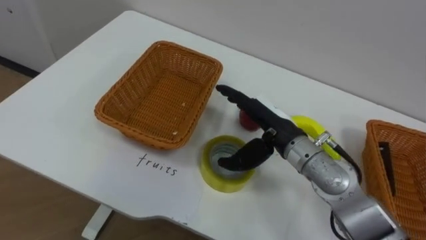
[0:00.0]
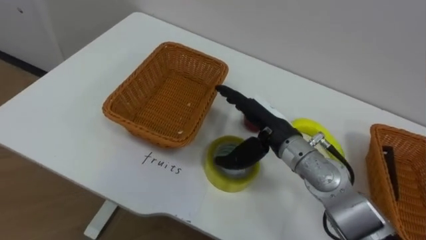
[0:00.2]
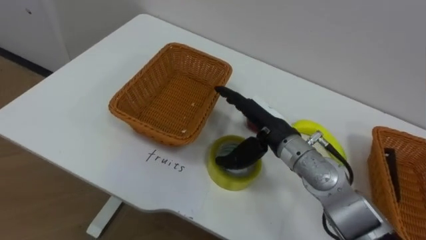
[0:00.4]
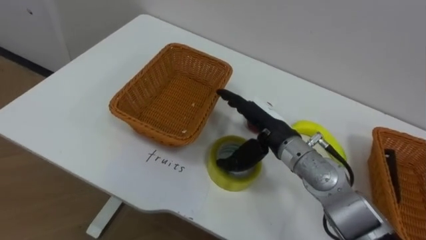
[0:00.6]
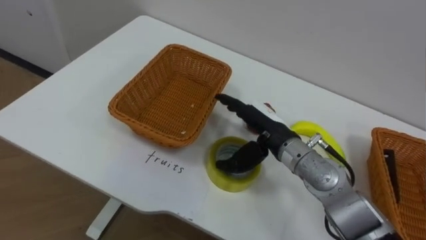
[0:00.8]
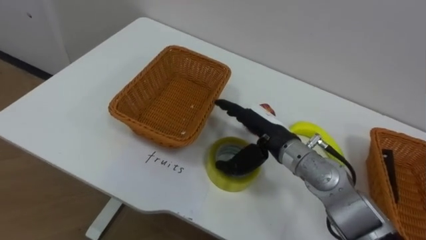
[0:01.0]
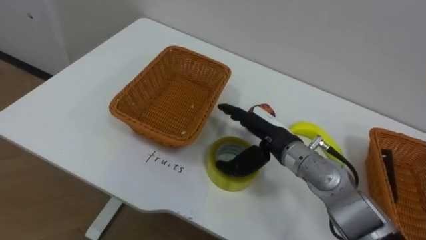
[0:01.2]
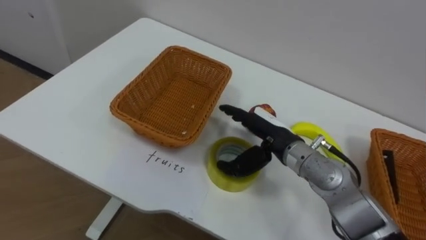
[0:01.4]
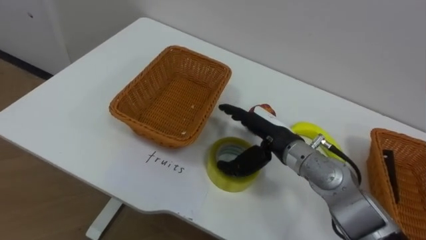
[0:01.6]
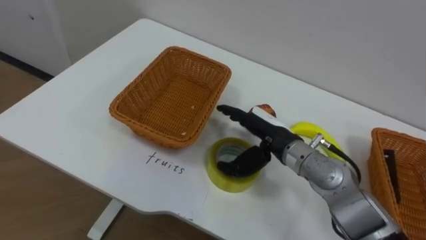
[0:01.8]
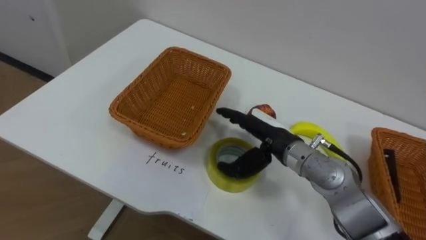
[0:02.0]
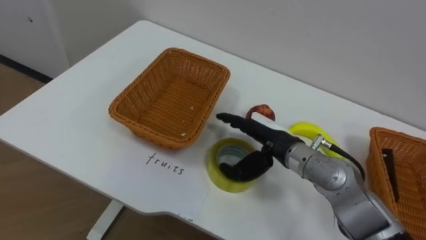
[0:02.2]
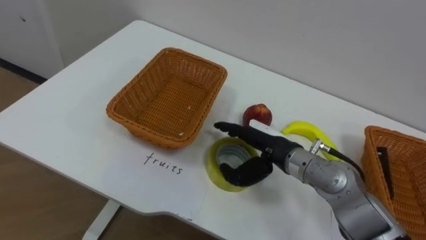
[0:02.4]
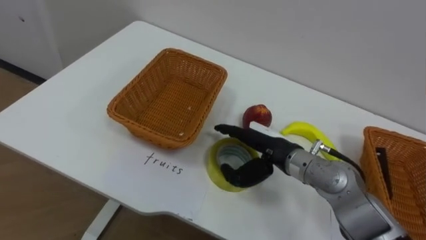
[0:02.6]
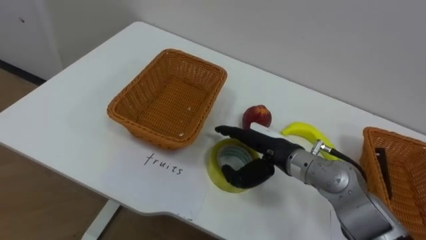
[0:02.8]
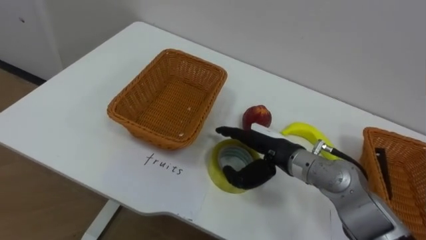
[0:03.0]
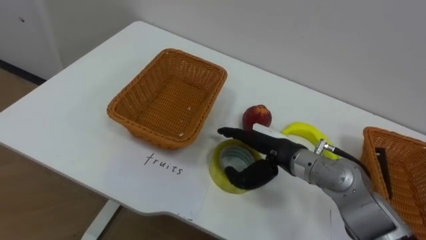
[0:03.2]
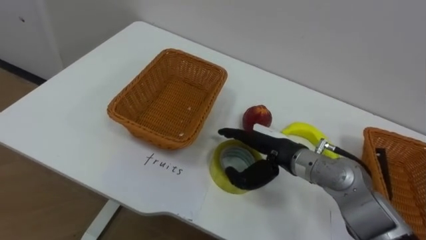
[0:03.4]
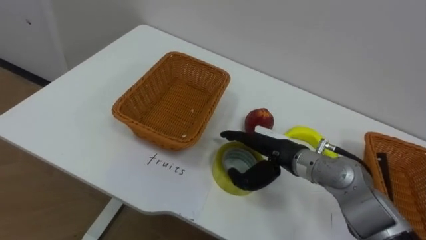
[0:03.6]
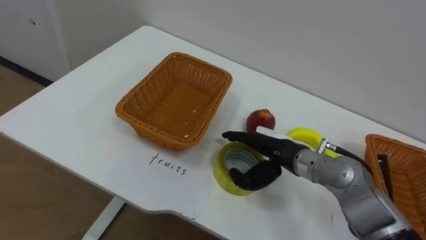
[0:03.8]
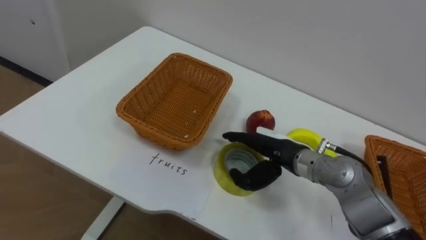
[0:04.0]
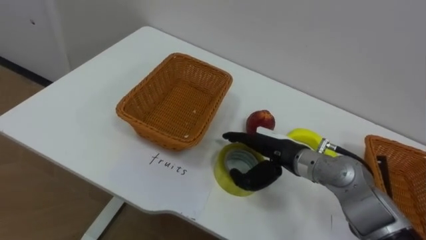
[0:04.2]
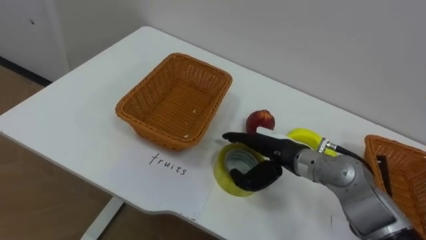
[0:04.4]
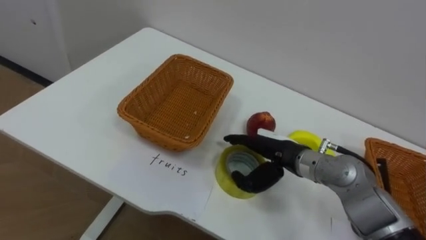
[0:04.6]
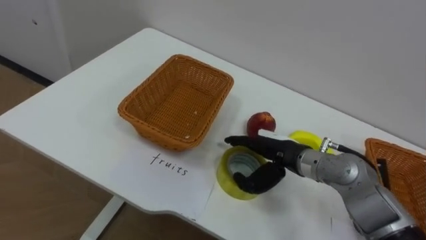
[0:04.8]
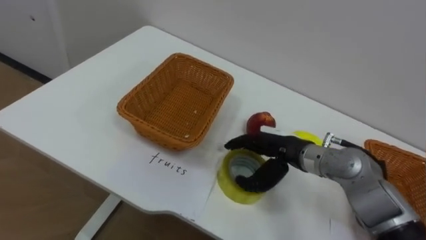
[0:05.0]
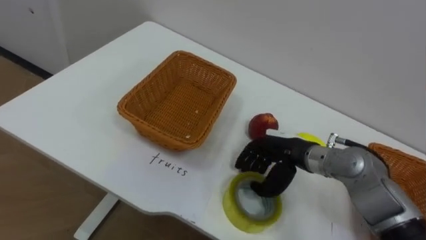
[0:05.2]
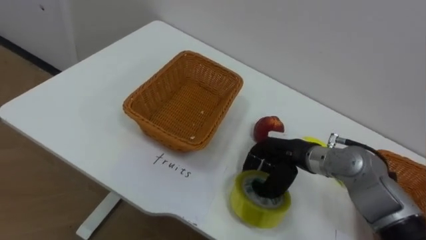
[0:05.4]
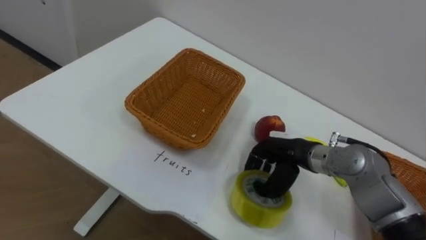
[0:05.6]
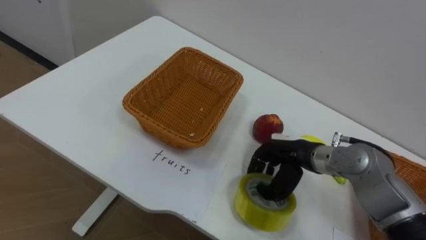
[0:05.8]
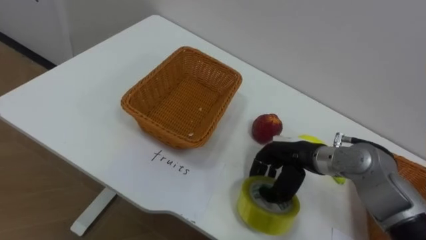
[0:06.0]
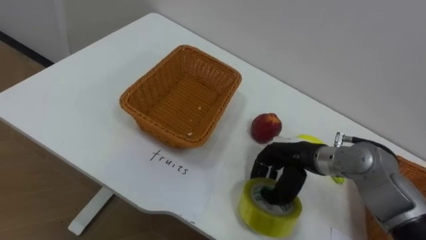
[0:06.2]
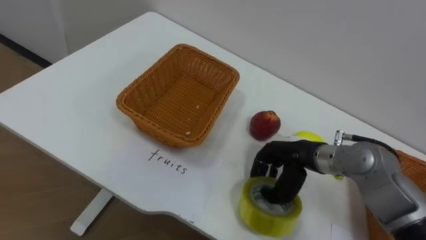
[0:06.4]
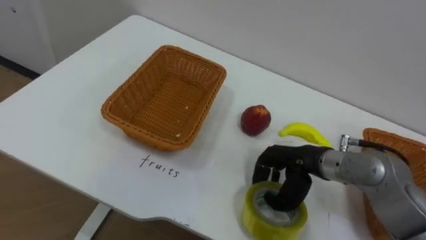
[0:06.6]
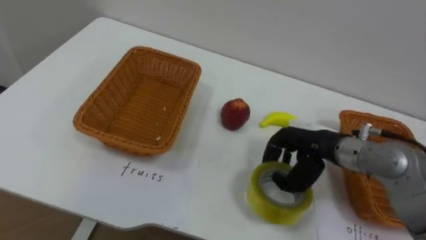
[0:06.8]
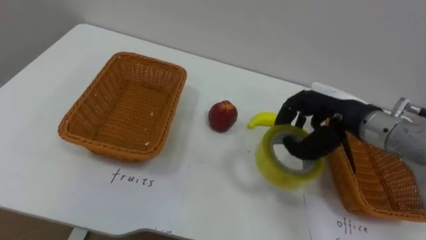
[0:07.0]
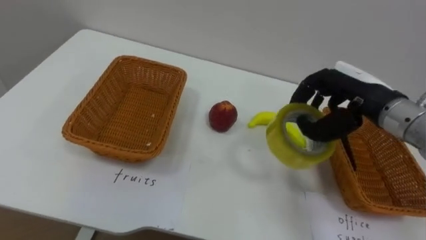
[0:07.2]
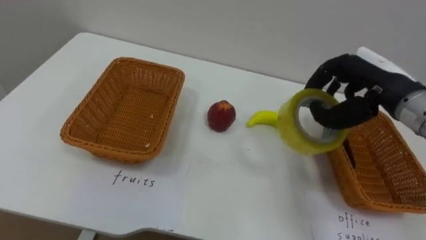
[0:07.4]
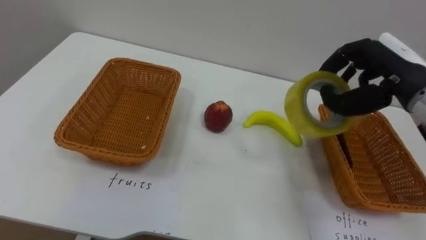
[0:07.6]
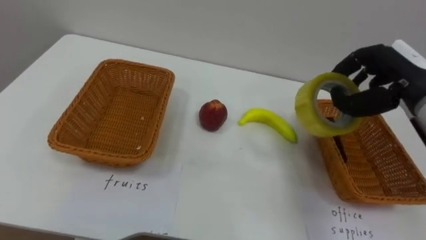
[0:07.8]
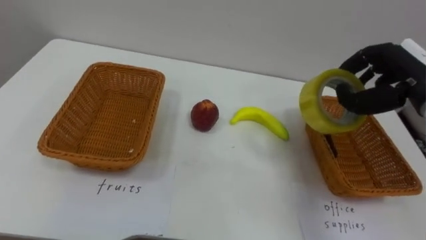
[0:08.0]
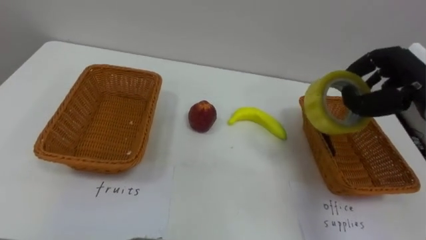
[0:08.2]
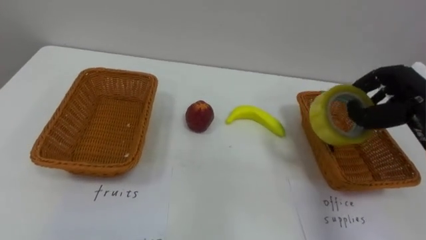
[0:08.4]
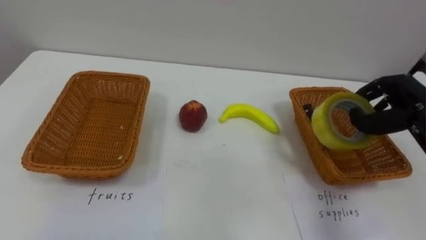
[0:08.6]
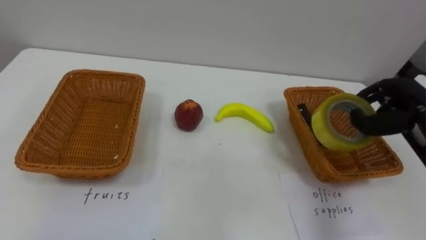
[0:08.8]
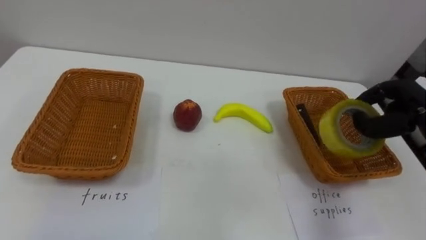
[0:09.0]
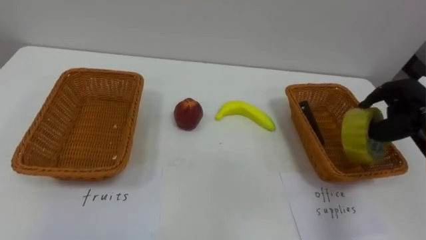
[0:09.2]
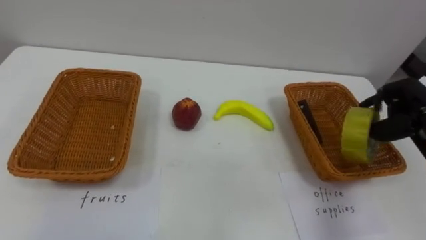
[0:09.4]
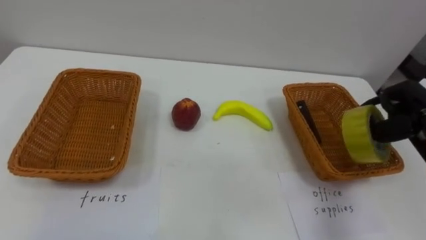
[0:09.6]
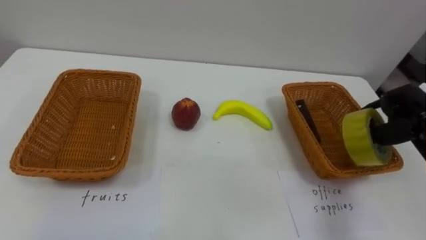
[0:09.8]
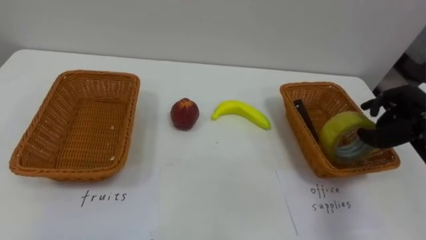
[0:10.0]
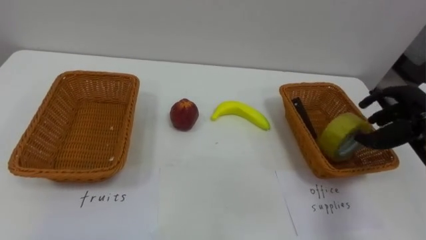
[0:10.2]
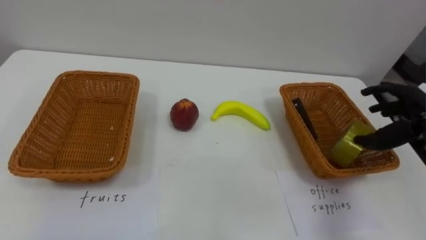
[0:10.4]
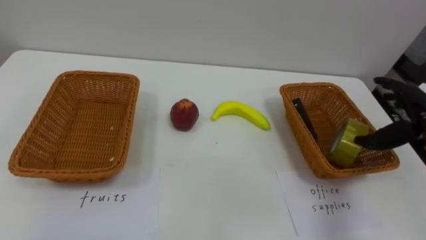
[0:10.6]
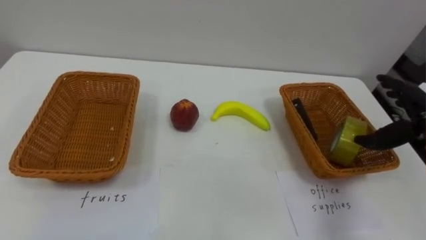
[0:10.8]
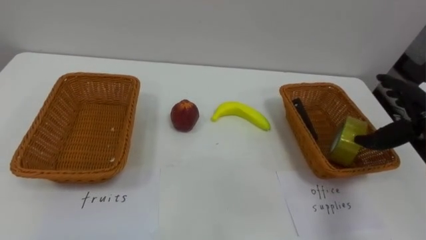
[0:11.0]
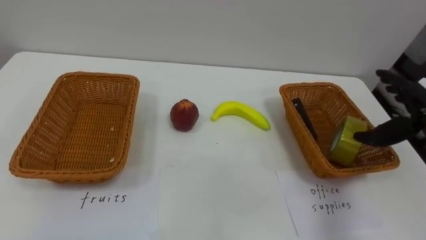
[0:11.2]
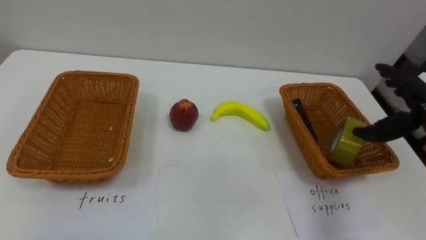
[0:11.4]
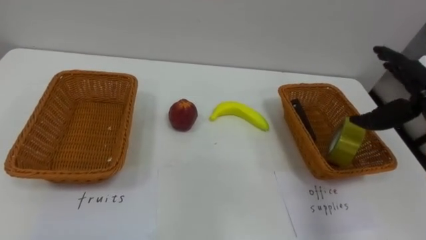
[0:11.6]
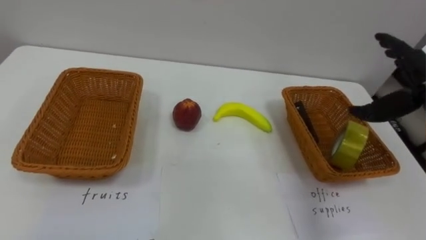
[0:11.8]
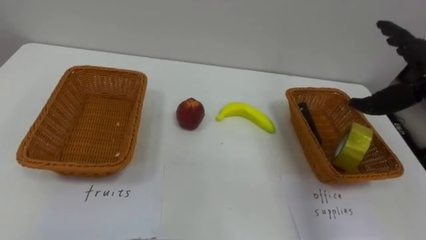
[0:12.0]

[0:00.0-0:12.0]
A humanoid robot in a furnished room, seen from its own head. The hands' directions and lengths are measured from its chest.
Task of the whole recording: Separate the items on the table and place them into the two baskets.
0:04.4 to 0:06.0: The right hand closes up.
0:06.0 to 0:07.6: The right hand heads upward and to the right, covering roughly 20 cm.
0:07.6 to 0:09.0: The right hand moves to the right and downward, some 10 cm.
0:09.0 to 0:10.4: The right hand opens its fingers.

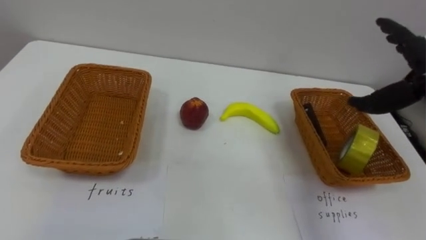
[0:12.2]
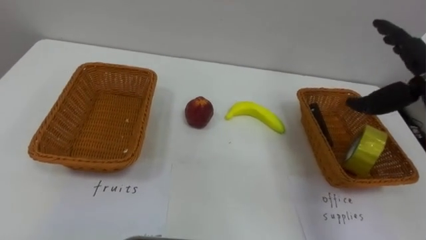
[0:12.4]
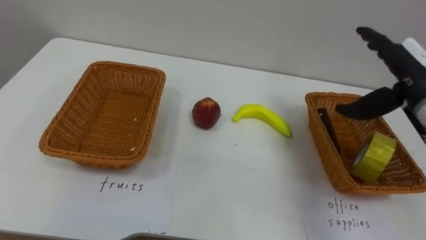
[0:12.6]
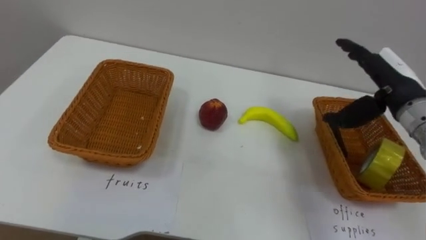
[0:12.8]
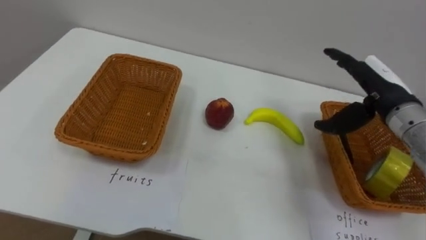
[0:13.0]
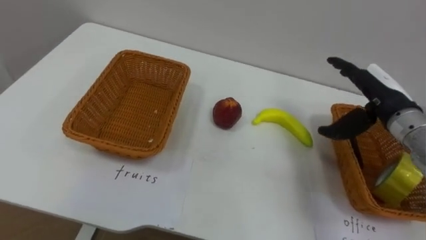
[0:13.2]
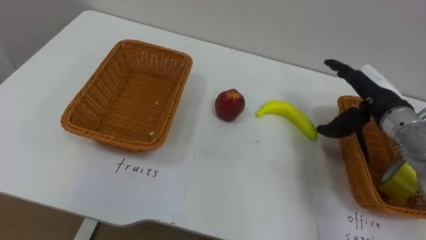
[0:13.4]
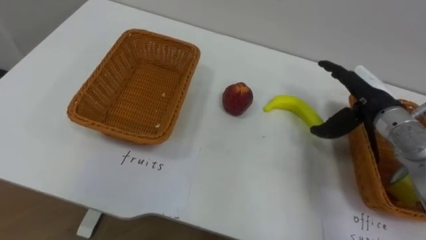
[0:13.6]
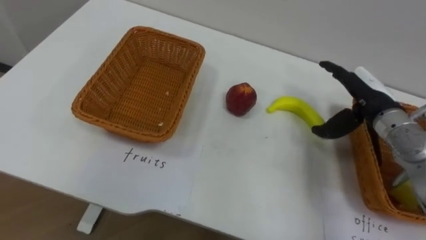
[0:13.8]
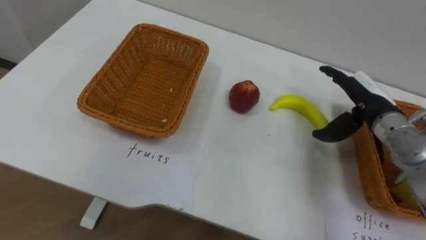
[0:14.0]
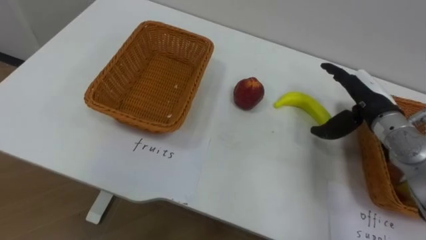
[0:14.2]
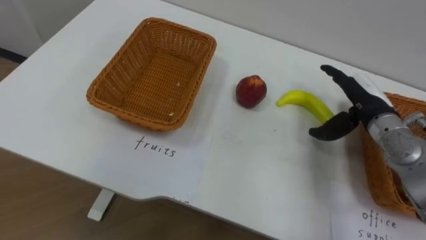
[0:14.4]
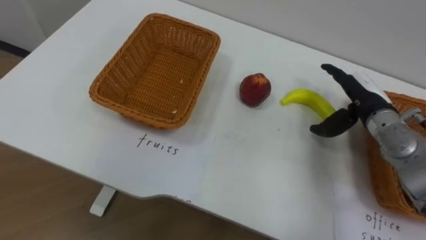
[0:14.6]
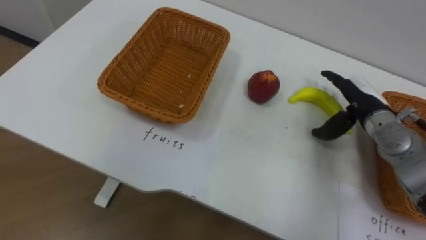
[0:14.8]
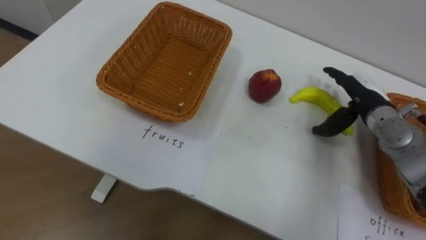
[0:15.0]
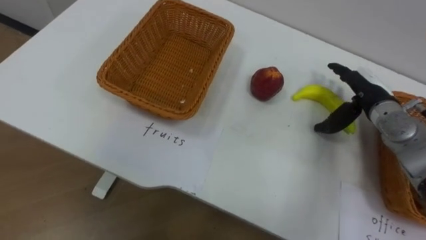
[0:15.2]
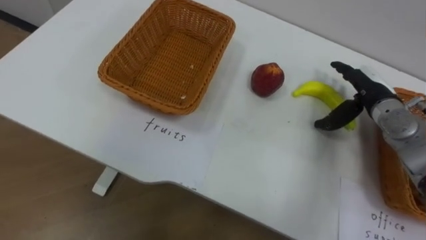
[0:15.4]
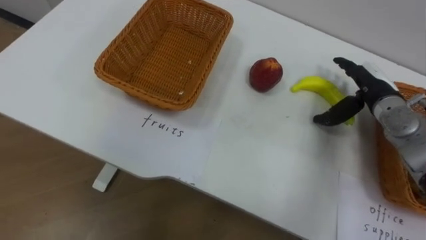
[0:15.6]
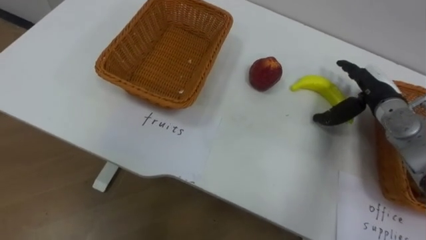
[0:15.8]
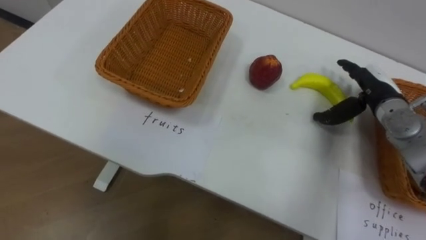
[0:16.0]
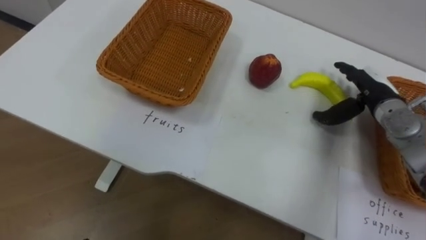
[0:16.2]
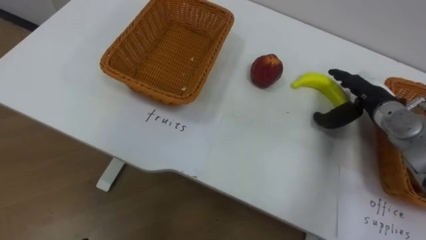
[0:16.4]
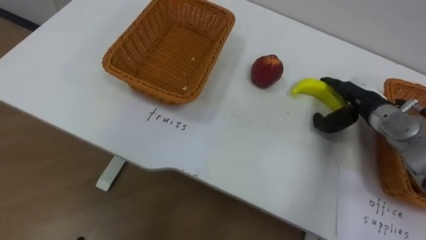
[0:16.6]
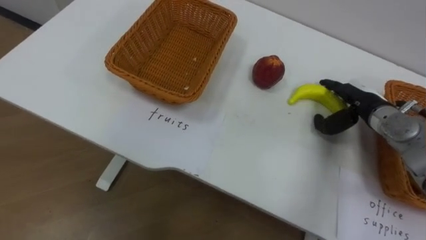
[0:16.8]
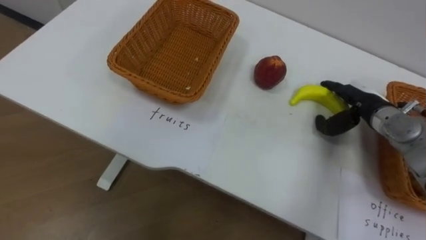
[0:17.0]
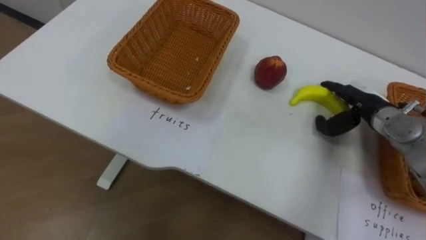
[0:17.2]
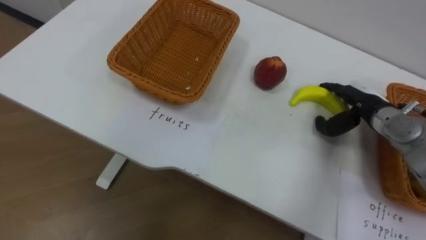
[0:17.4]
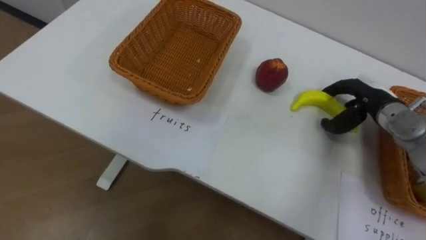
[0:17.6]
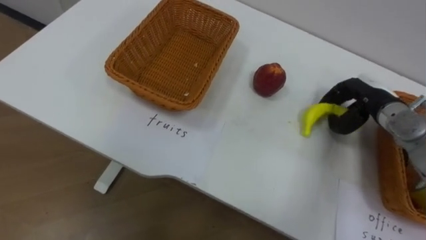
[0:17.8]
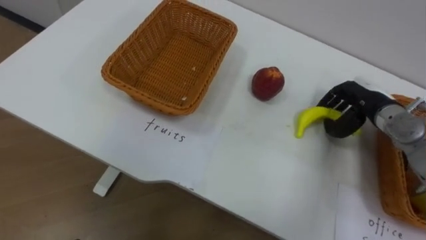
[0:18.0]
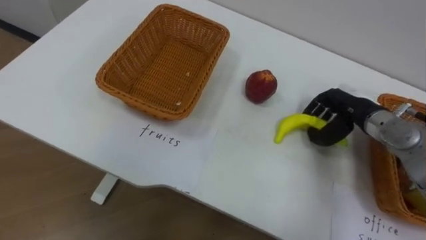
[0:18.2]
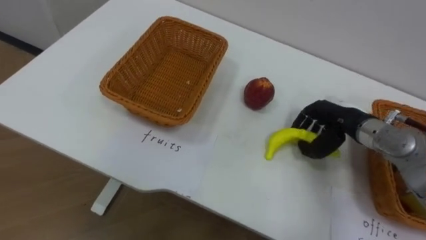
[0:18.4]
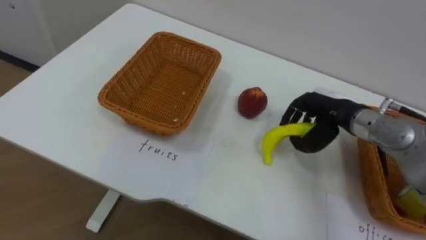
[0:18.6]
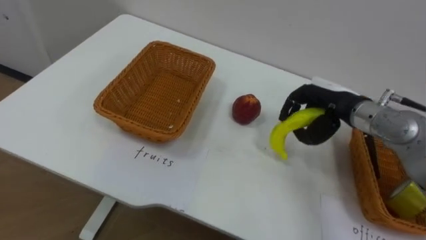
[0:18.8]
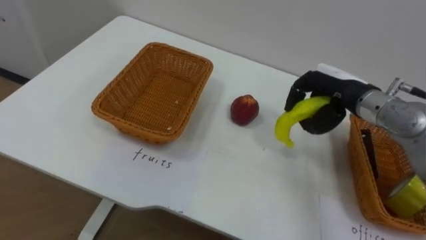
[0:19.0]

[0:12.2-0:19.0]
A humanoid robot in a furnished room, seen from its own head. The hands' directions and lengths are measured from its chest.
Task of the whole recording: Separate the items on the table and place them into the two baskets.
0:17.6 to 0:19.0: The right hand shifts roughly 10 cm to the left and upward, and closes its fingers.
